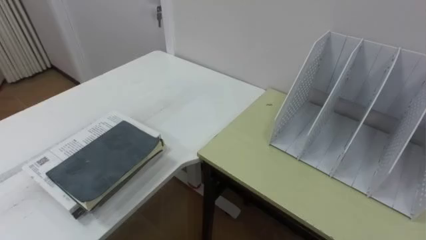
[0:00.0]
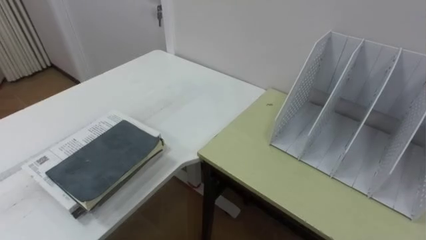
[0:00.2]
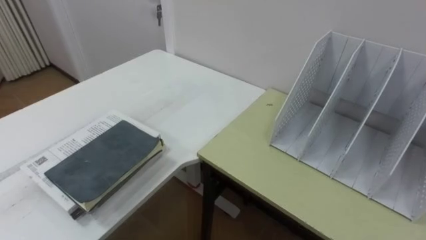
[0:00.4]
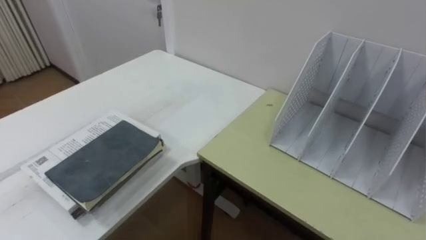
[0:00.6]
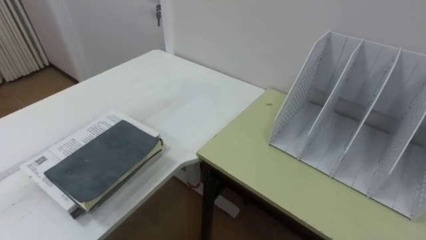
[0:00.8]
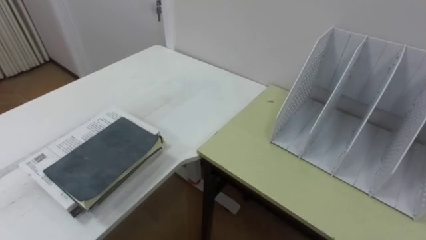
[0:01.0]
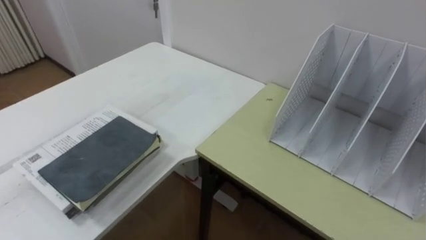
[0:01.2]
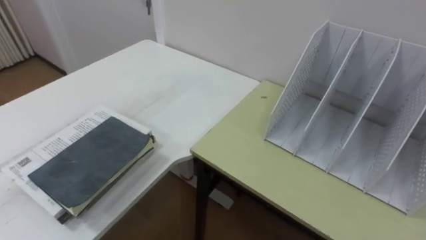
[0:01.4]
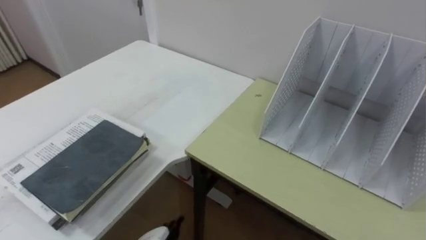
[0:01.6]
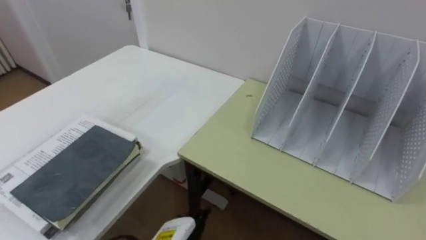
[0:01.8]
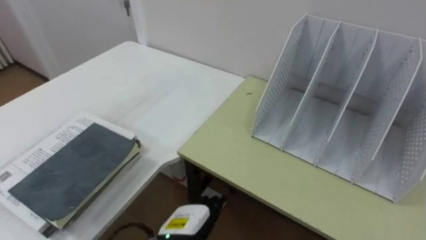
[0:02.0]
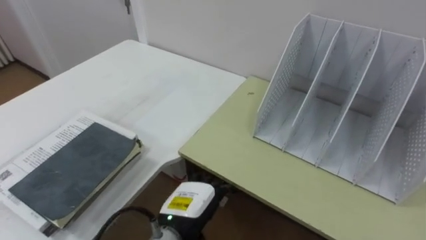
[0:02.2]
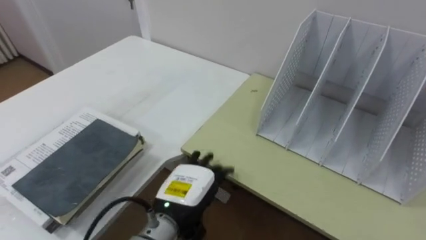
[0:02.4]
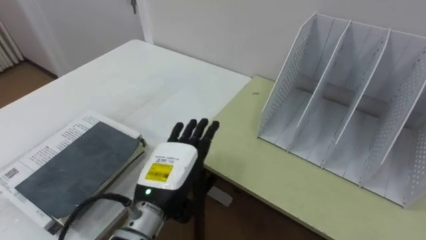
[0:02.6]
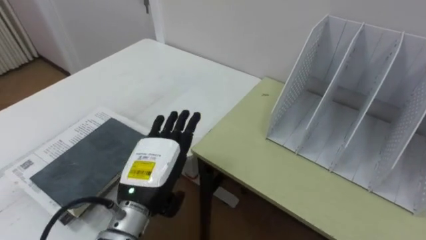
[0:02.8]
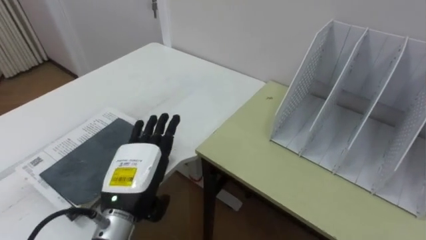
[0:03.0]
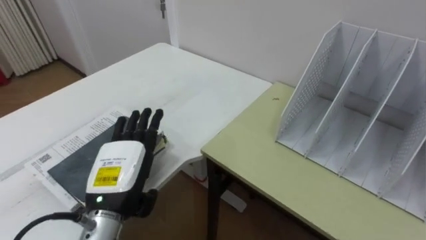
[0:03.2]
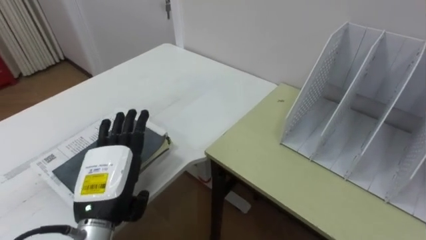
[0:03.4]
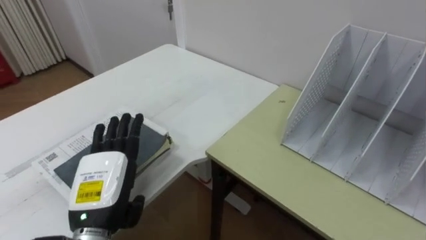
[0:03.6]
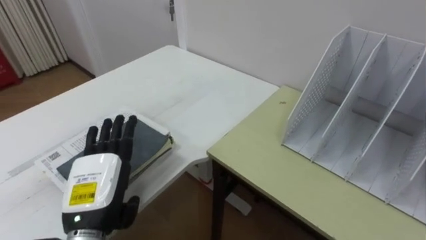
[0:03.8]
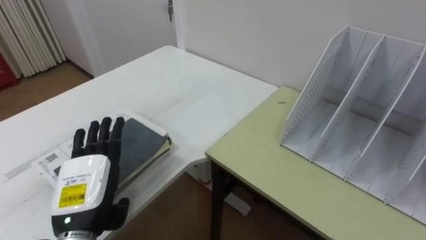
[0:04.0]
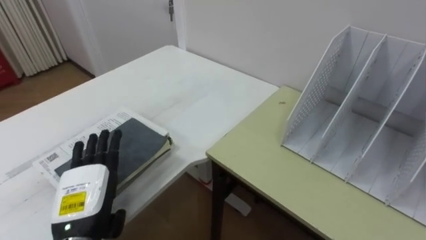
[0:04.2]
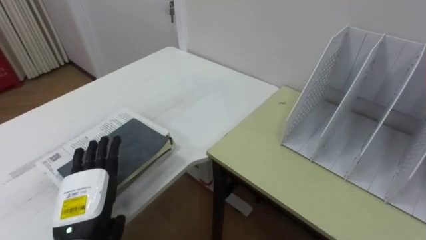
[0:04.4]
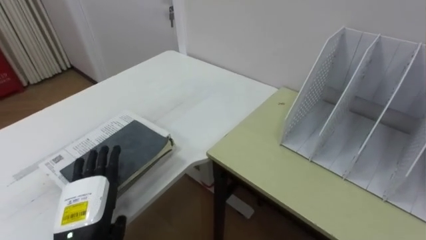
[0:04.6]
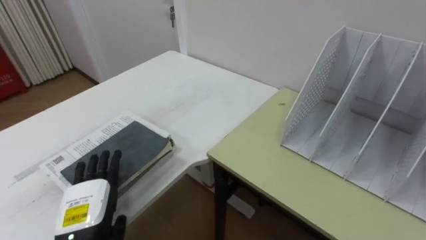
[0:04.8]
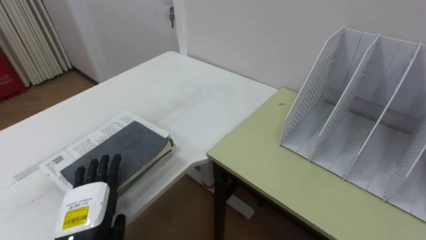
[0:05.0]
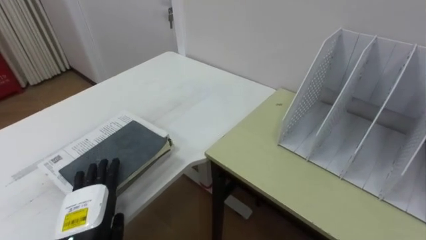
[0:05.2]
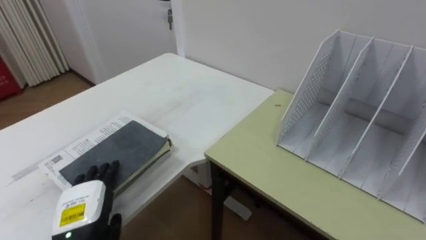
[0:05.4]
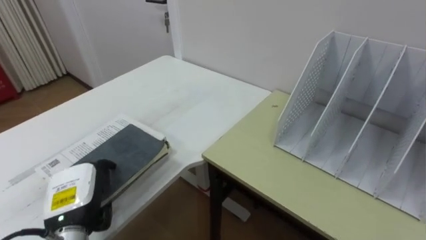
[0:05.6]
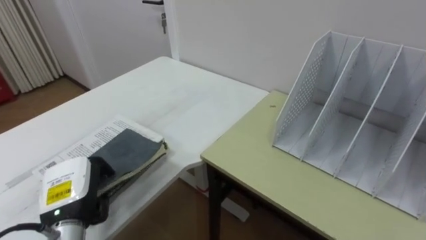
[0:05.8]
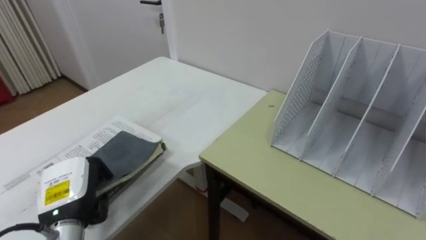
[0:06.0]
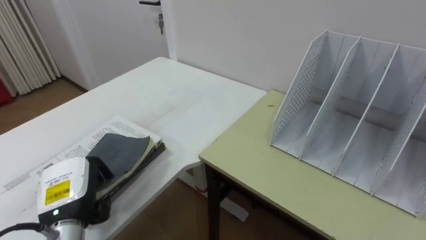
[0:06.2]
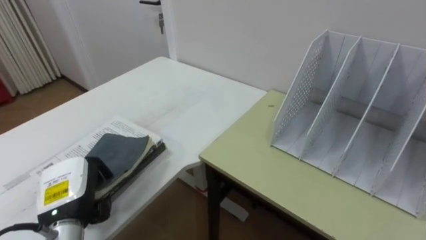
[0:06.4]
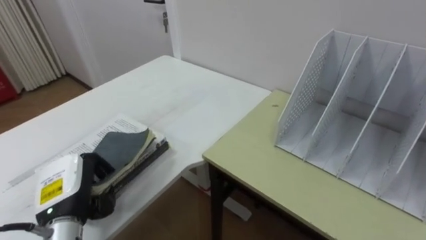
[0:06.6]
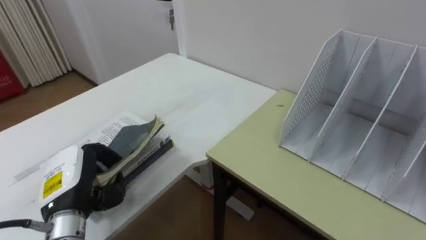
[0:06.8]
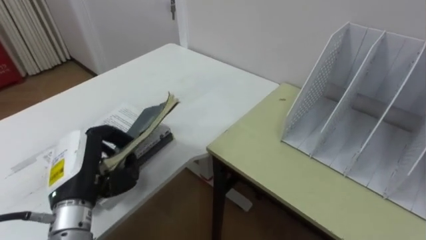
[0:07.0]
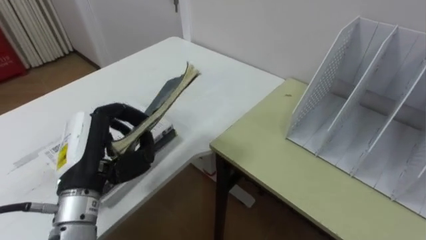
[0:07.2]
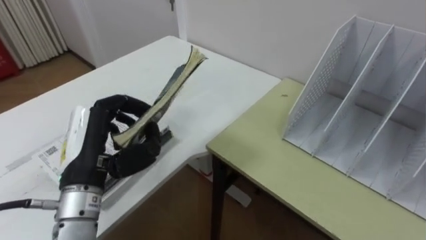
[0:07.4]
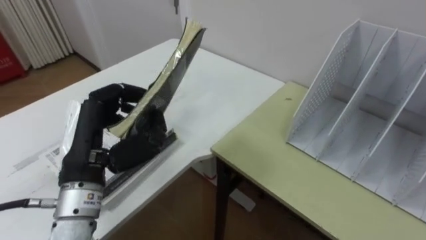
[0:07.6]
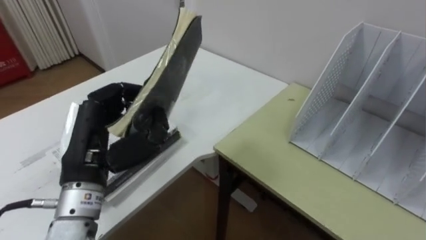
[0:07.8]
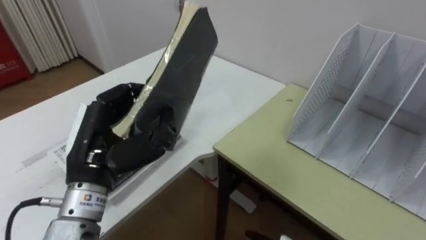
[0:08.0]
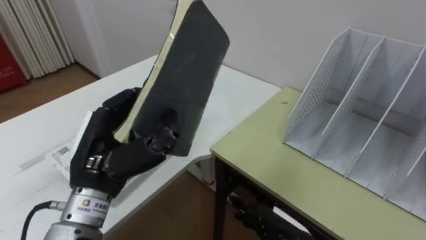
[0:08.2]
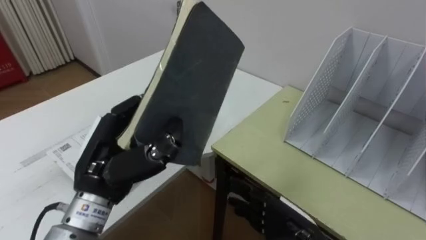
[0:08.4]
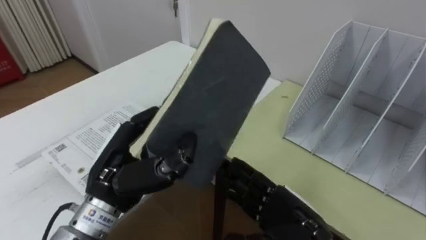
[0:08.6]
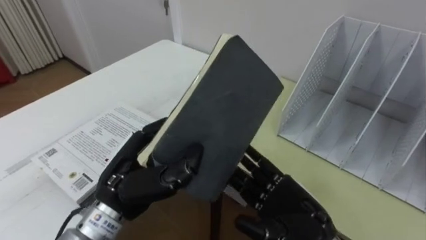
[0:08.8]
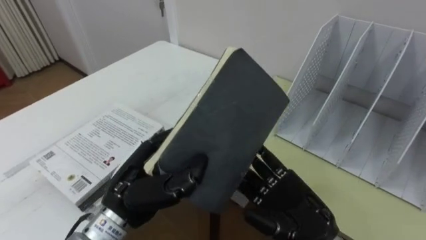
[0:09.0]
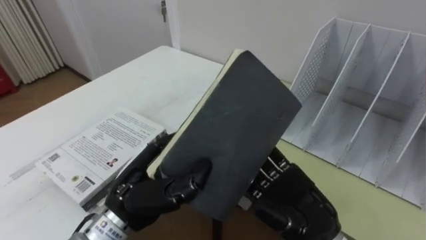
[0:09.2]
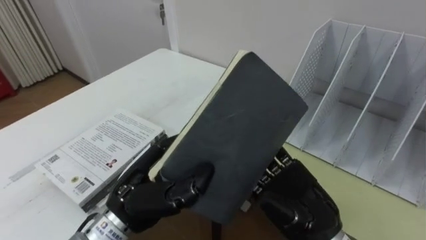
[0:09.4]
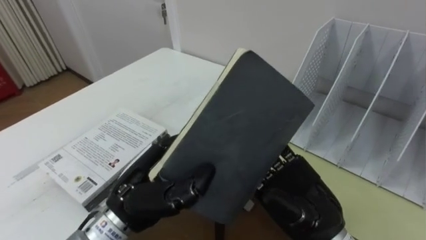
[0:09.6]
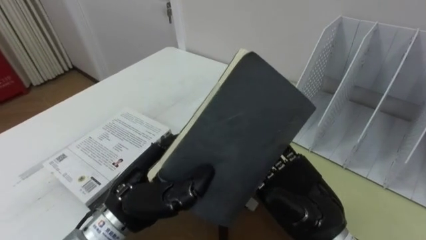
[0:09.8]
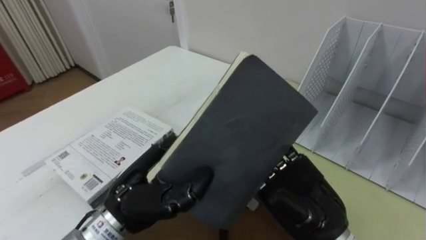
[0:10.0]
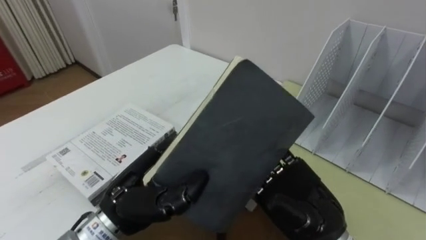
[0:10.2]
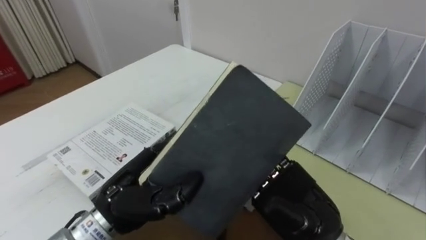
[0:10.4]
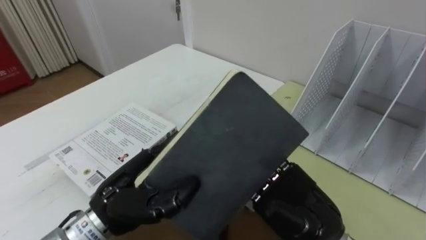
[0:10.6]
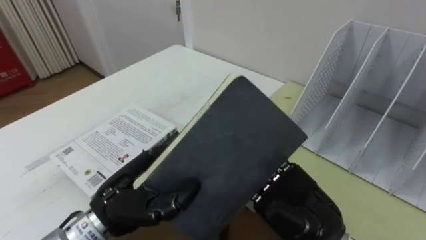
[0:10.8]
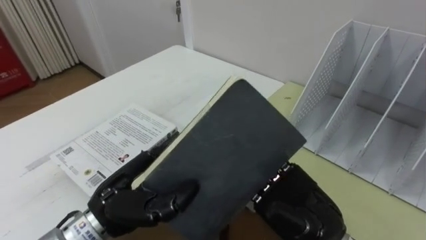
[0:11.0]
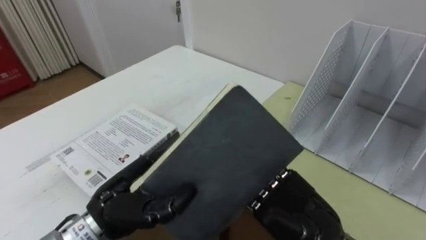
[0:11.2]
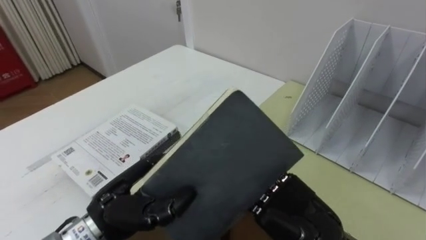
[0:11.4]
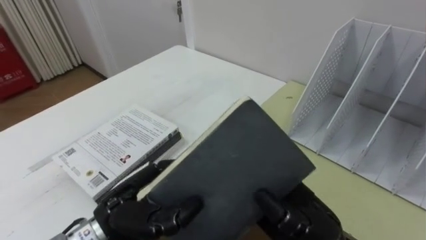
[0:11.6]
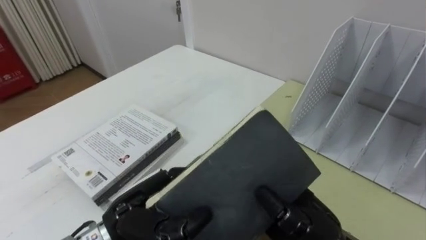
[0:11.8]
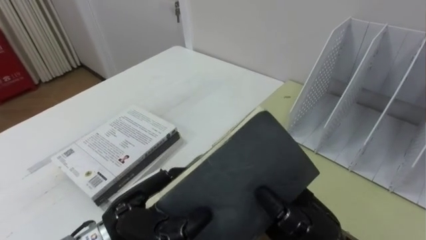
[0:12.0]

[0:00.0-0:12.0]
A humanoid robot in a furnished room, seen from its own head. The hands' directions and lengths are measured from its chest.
Task of the whole recording: Put the books on the table onto the bookshelf.
0:03.0 to 0:04.4: The left hand travels to the left by roughly 10 cm.
0:04.4 to 0:06.0: The left hand closes up.
0:06.0 to 0:07.6: The left hand moves upward and to the right, some 15 cm.
0:07.6 to 0:09.0: The left hand heads to the right and downward, covering approximately 10 cm.
0:10.4 to 0:12.0: The right hand closes.

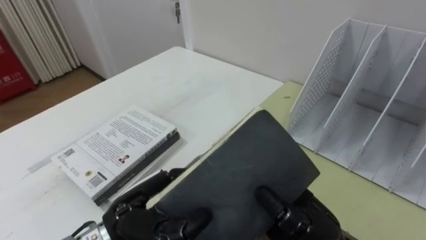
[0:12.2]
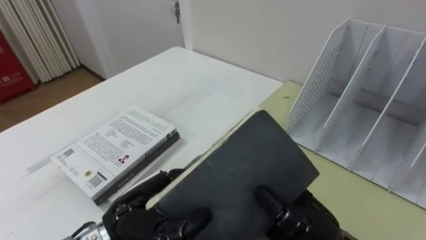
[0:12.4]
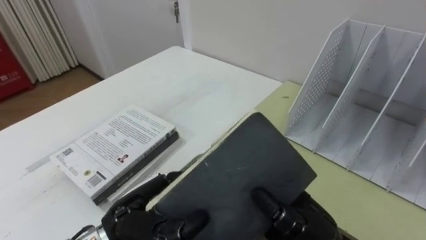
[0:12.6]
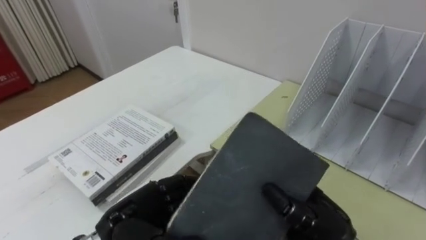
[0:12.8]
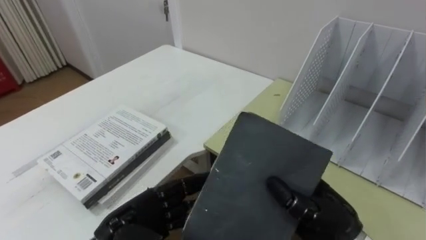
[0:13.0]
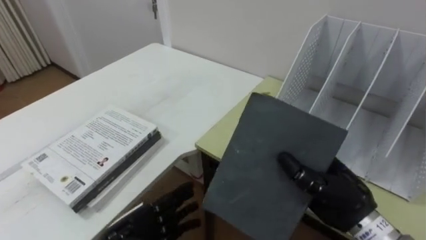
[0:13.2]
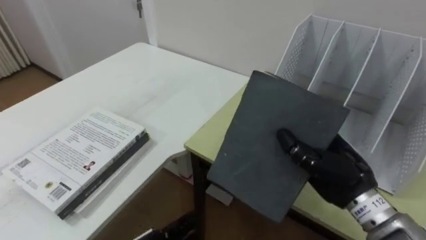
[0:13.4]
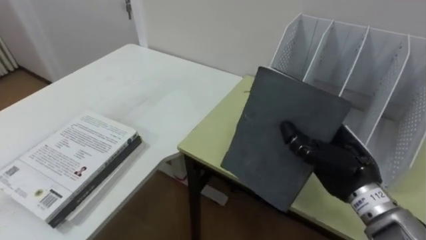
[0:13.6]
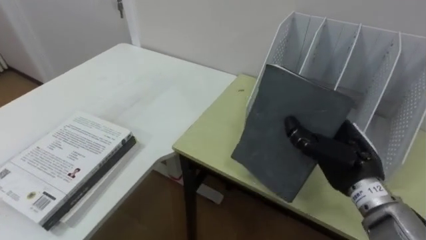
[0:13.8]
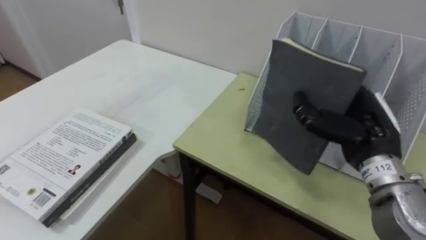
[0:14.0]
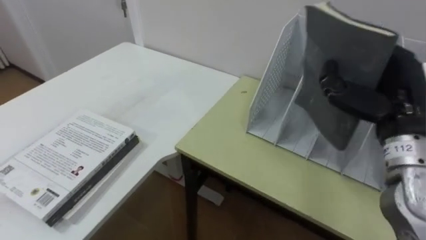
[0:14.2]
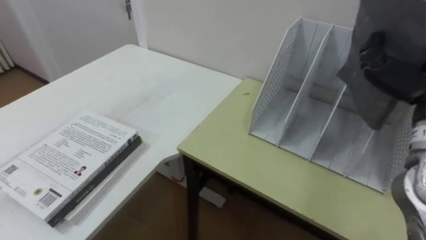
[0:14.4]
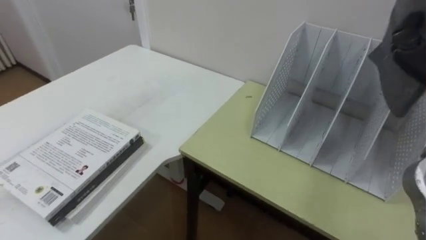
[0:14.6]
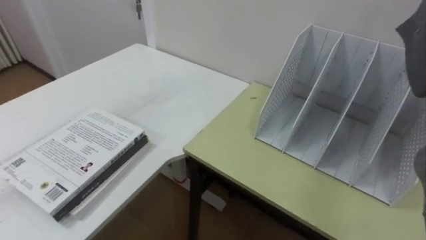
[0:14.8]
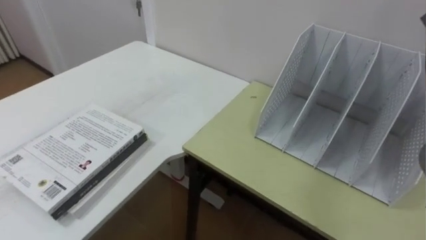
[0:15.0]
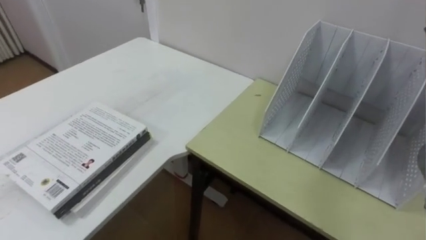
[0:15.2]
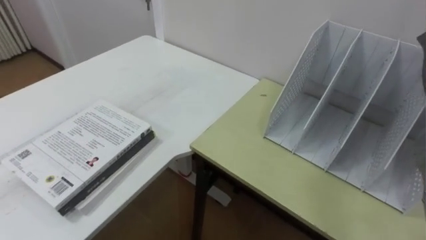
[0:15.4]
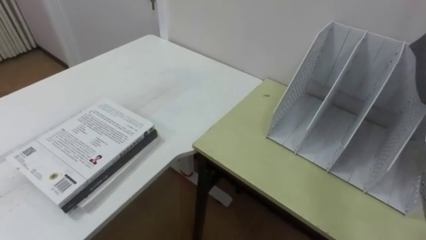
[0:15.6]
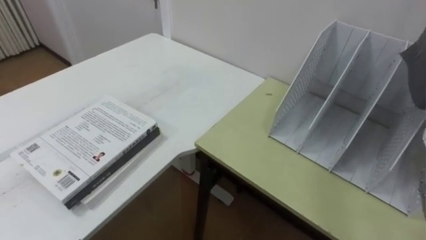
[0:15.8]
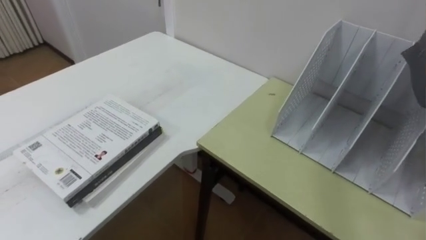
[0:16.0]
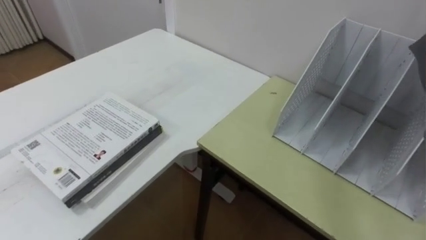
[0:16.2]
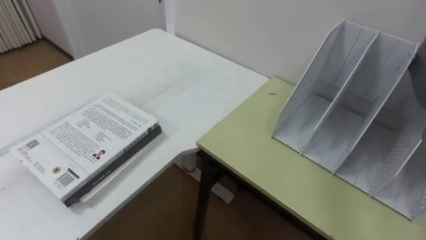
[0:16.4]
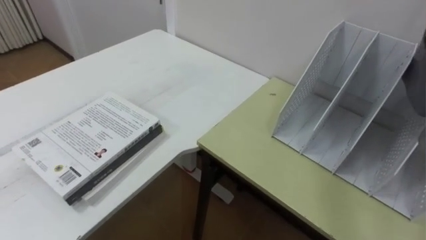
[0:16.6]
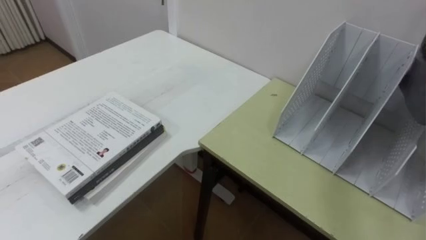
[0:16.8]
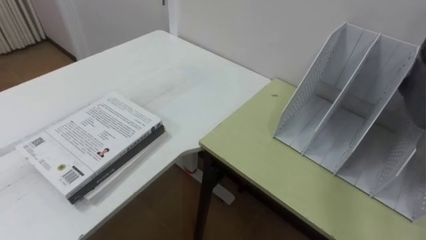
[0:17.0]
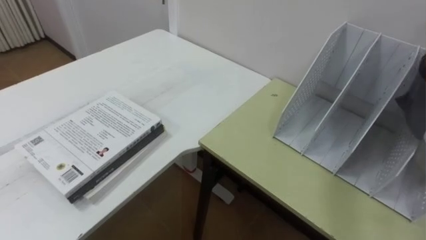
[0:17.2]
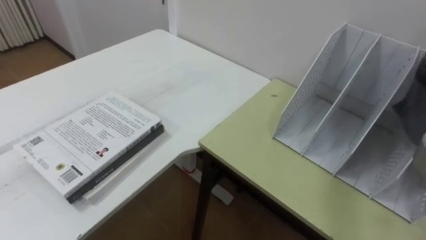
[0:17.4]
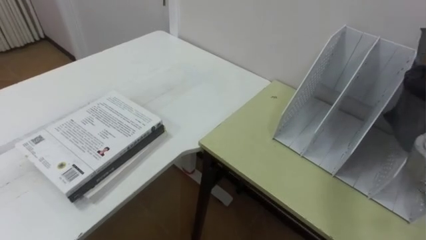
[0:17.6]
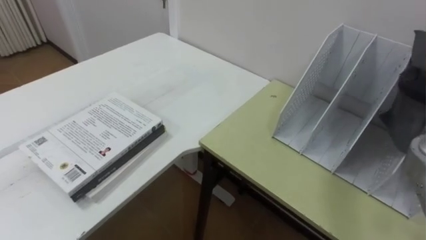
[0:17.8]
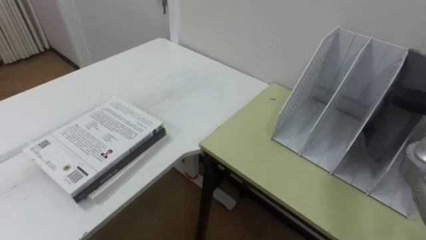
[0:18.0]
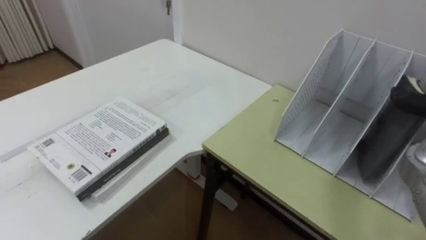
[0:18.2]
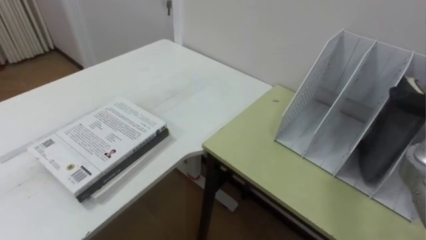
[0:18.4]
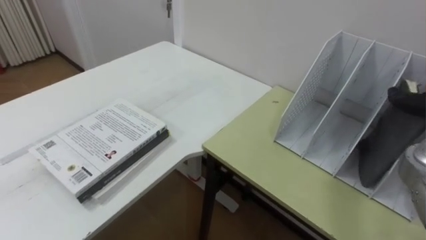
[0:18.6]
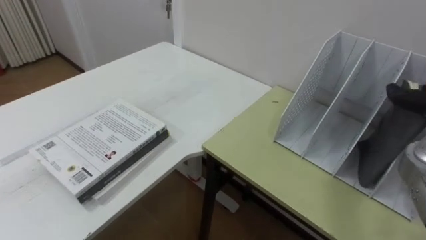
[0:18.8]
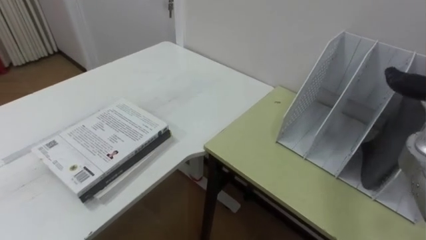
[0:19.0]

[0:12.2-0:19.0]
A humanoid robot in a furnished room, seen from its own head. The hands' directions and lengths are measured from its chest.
Task of the whole recording: Put the books on the table onto the bookshelf.
0:12.2 to 0:13.6: The right hand travels to the right and forward by approximately 10 cm.
